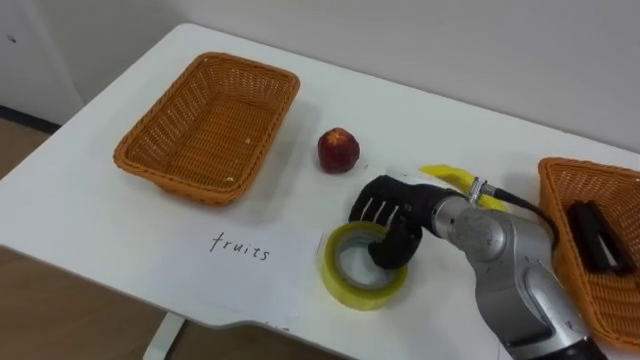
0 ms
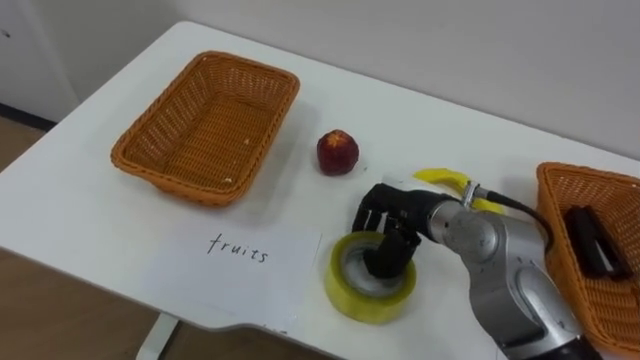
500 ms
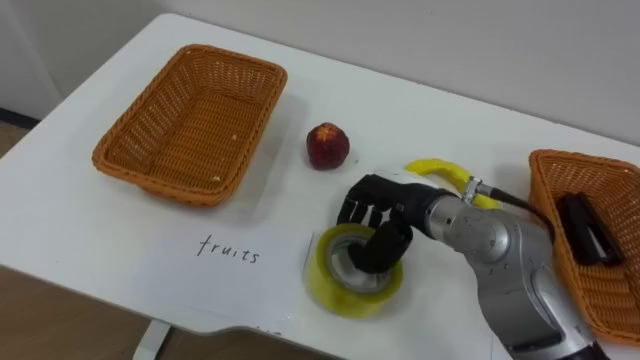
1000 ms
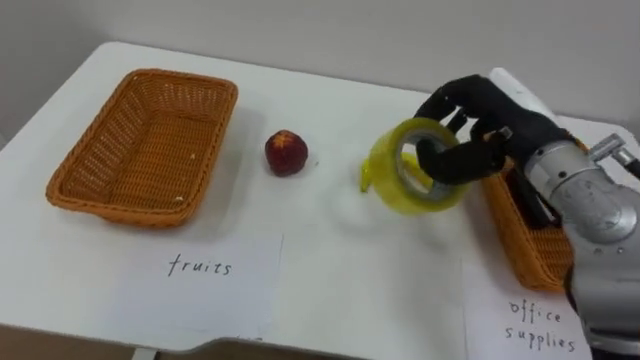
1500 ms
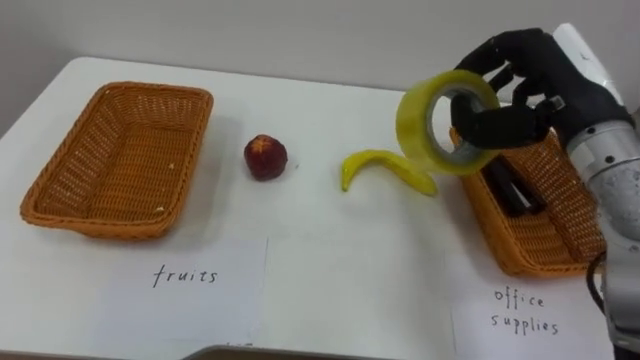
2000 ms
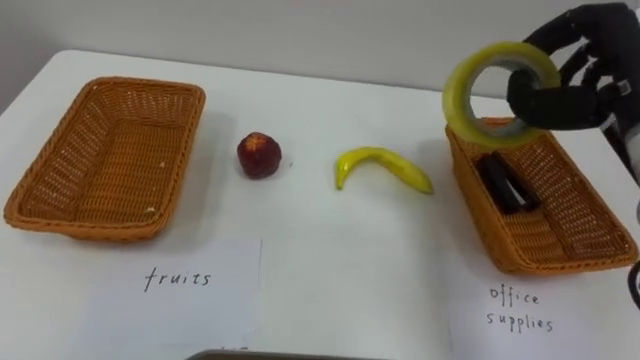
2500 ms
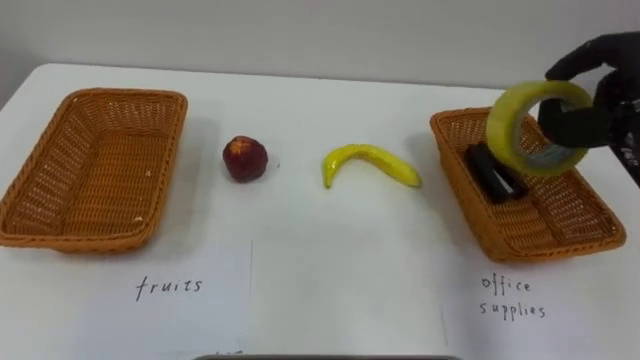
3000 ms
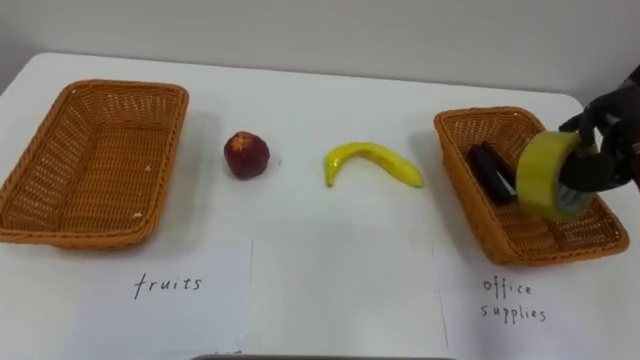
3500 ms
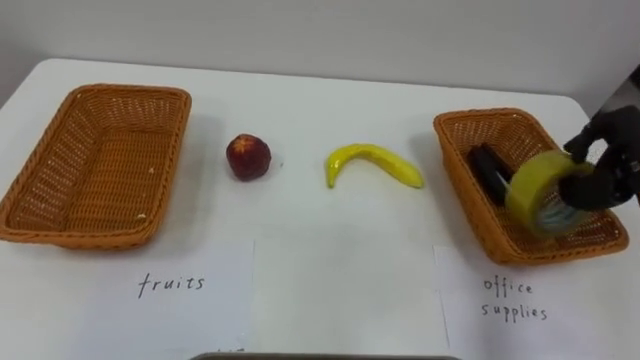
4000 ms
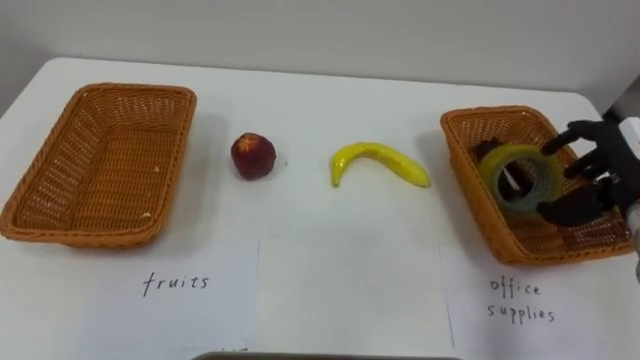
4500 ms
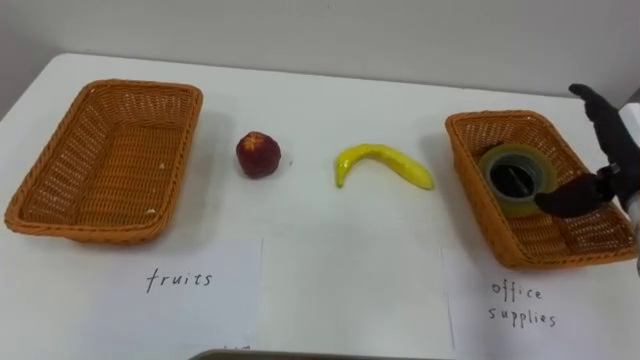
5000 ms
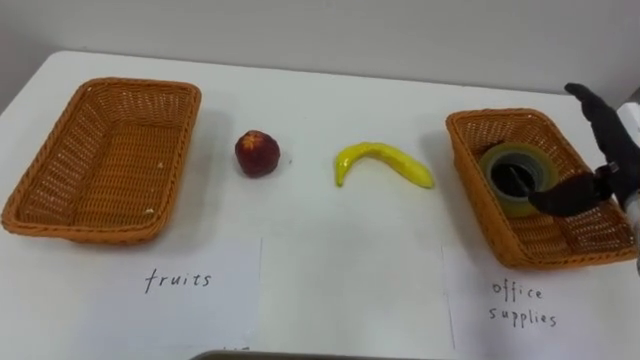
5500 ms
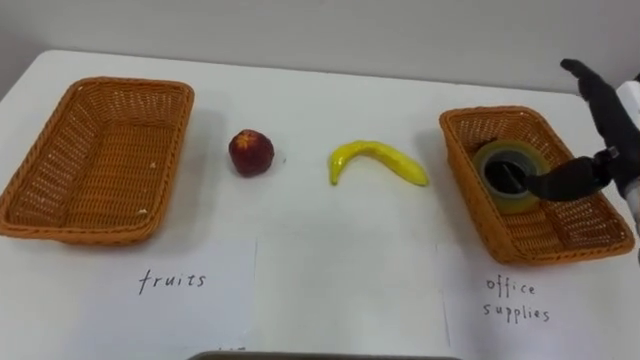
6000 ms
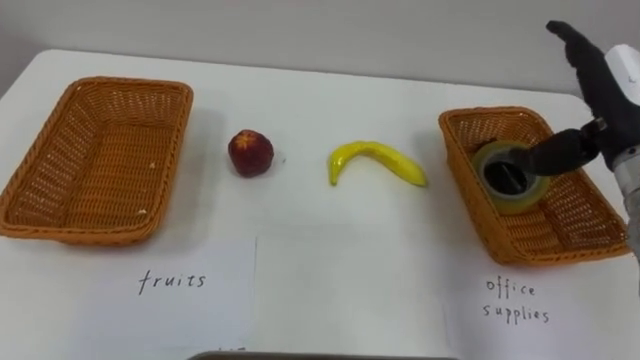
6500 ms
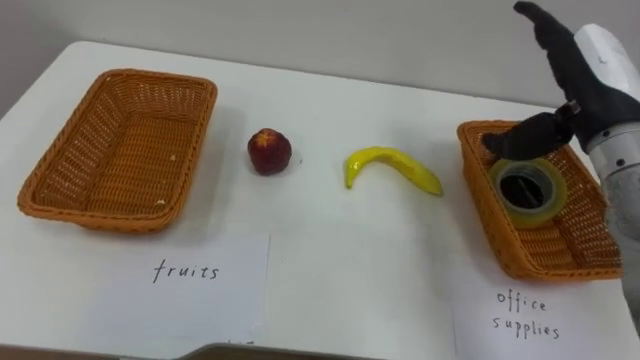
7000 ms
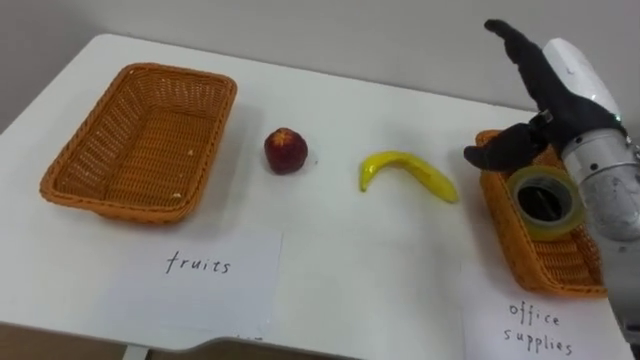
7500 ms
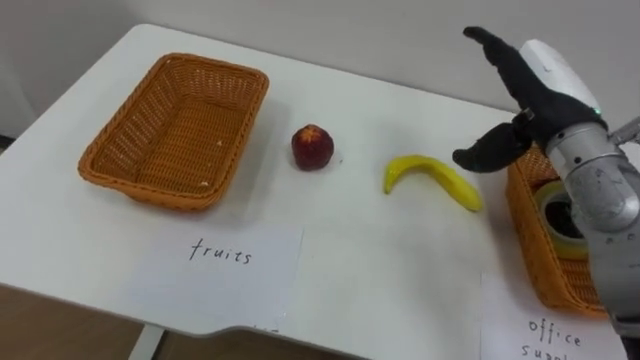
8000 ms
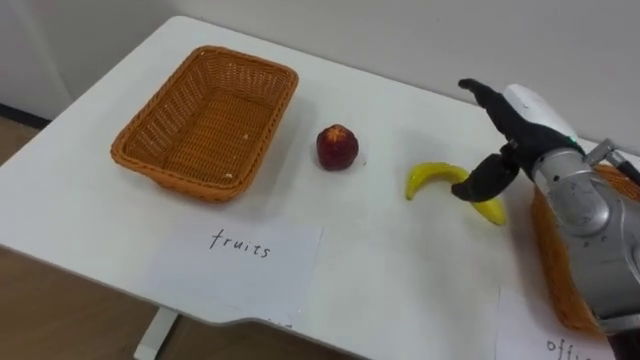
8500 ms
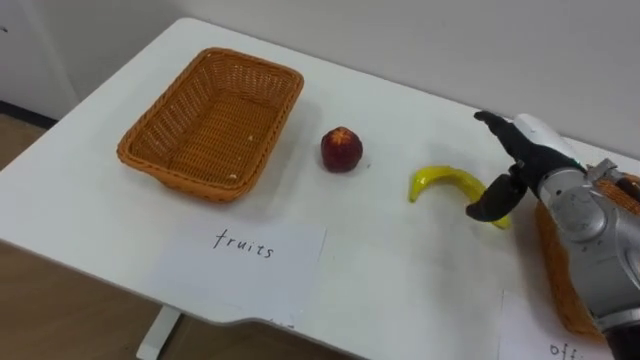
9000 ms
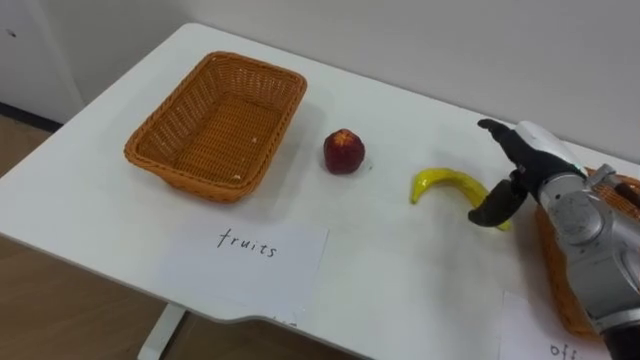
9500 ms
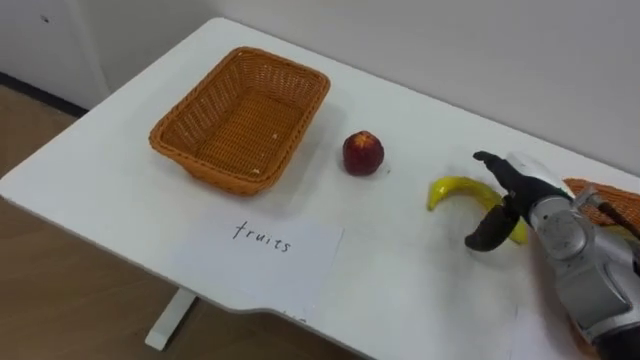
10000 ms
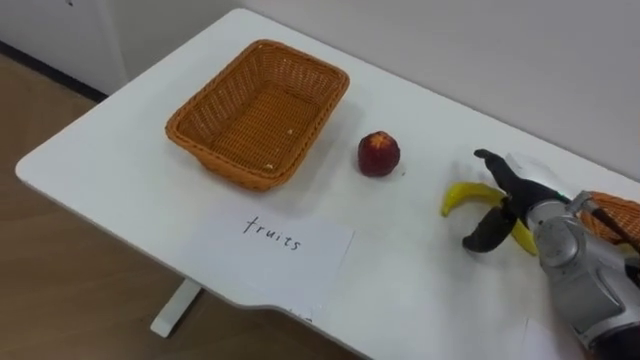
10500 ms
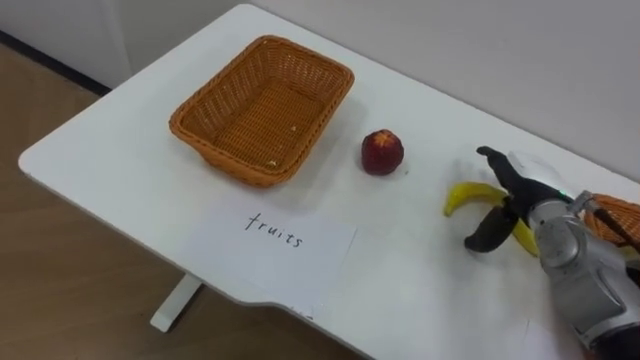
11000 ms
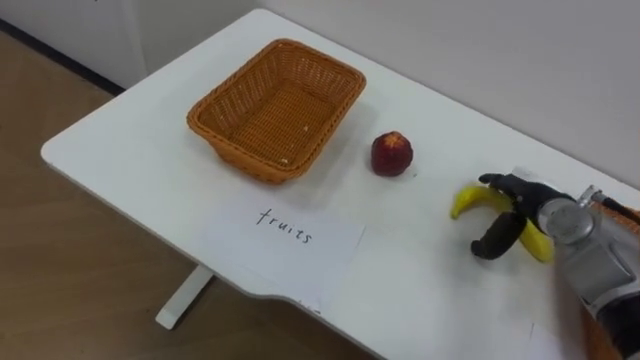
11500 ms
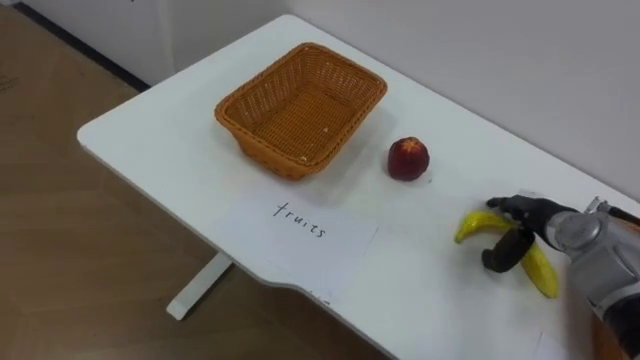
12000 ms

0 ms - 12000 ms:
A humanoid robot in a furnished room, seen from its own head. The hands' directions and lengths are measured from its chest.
Task of the whole recording: Separate the items on the table and place them into the two baskets.
0 ms - 2000 ms: The right hand goes about 20 cm upward and to the right.
6000 ms - 8000 ms: The right hand travels to the left by about 10 cm.
8000 ms - 10000 ms: The right hand shifts approximately 15 cm downward.
10000 ms - 12000 ms: The right hand is displaced downward by roughly 5 cm.

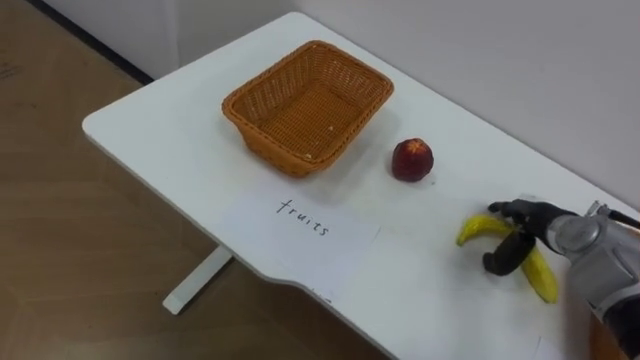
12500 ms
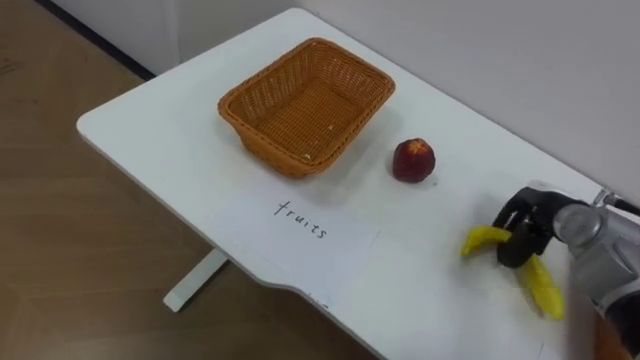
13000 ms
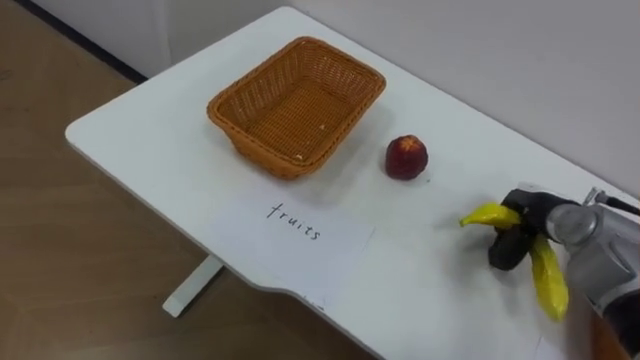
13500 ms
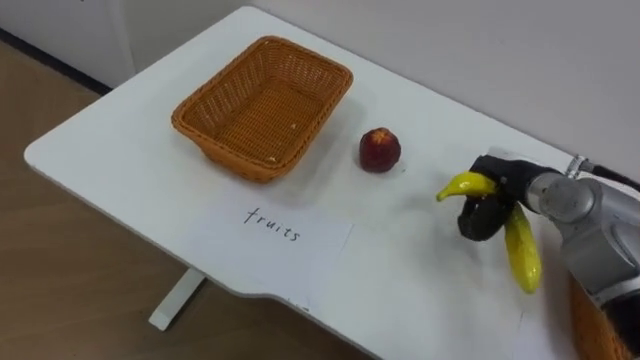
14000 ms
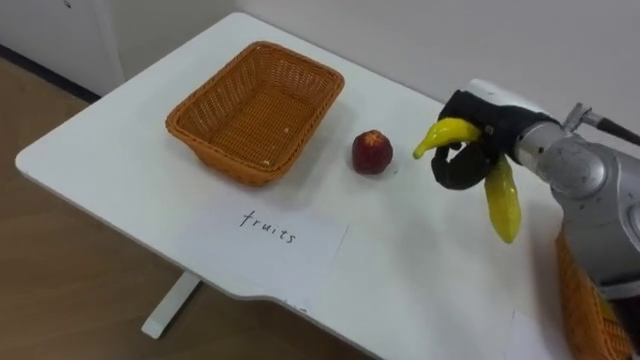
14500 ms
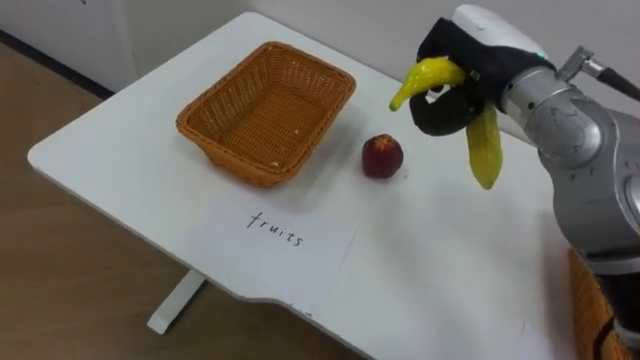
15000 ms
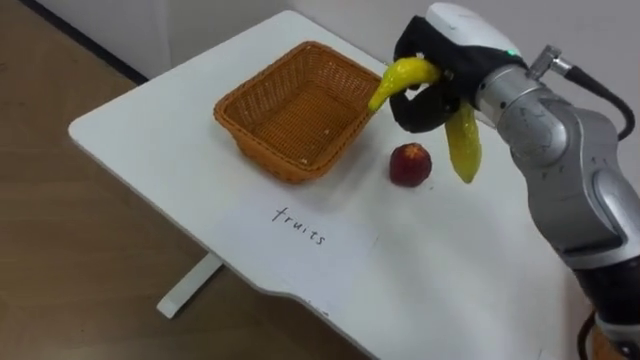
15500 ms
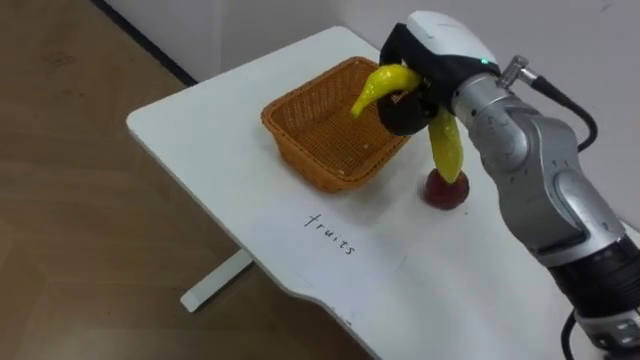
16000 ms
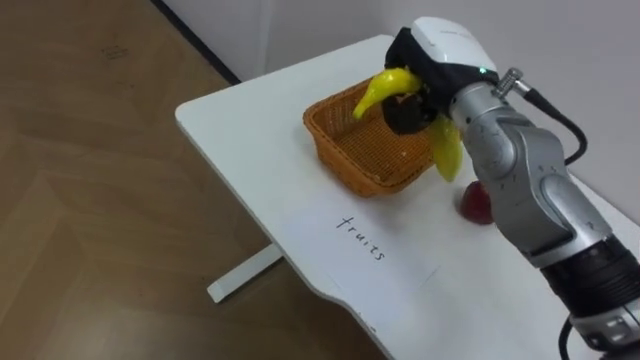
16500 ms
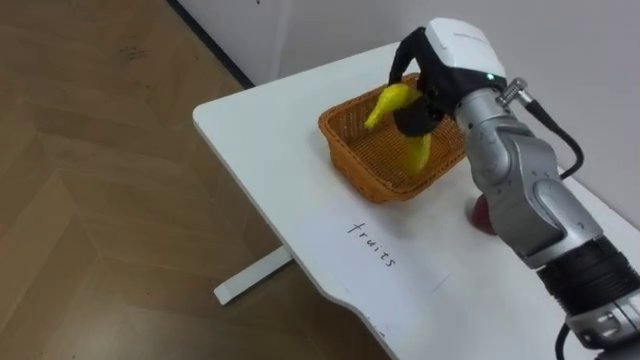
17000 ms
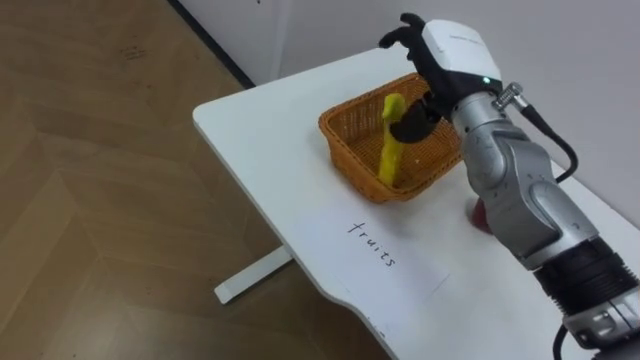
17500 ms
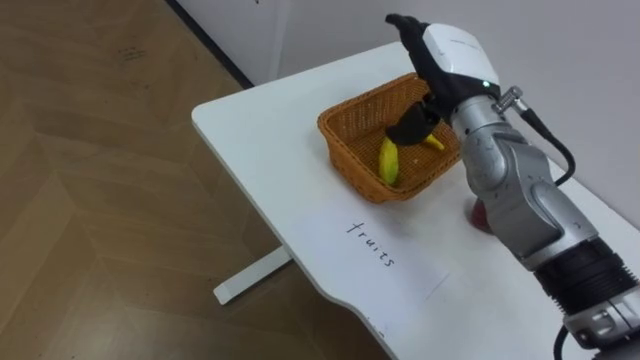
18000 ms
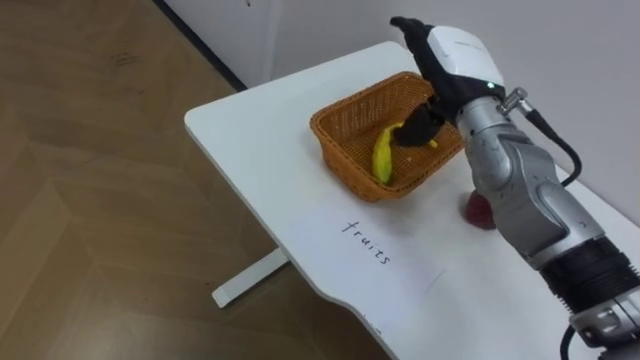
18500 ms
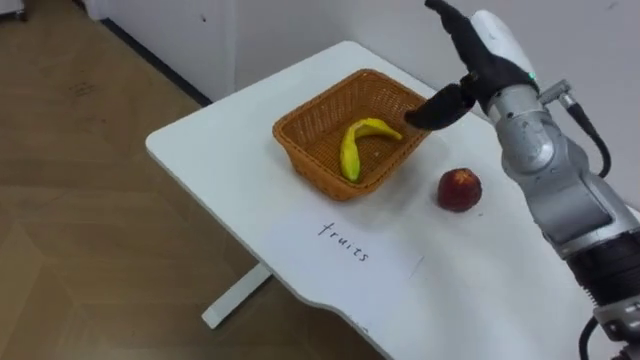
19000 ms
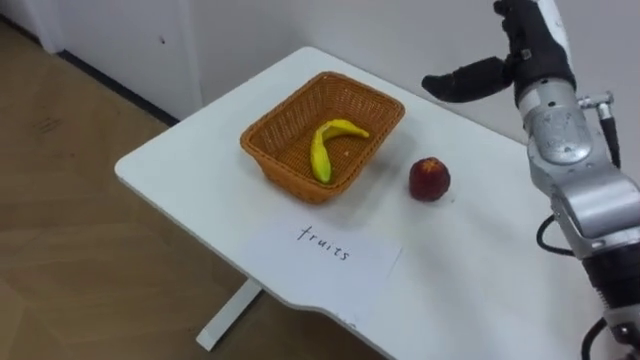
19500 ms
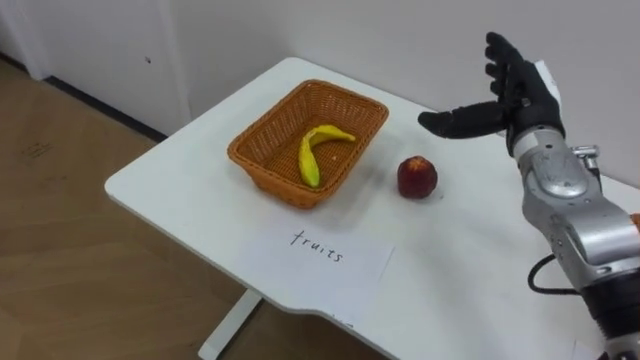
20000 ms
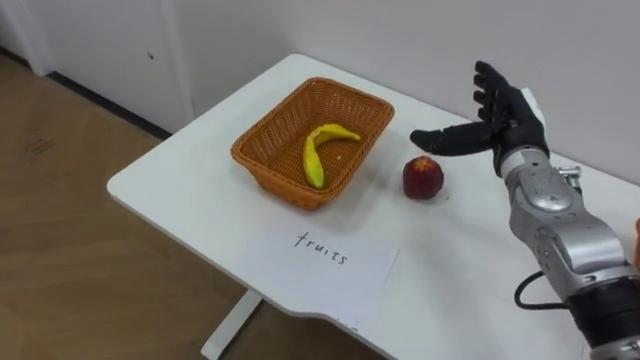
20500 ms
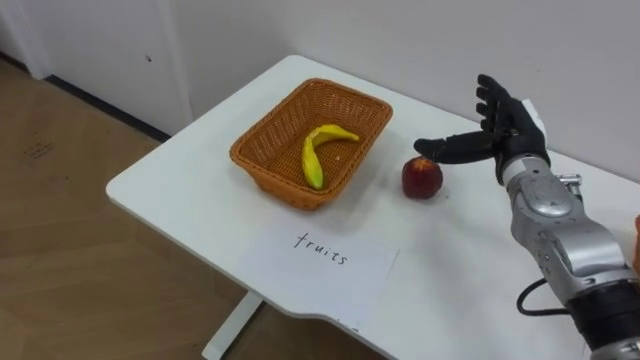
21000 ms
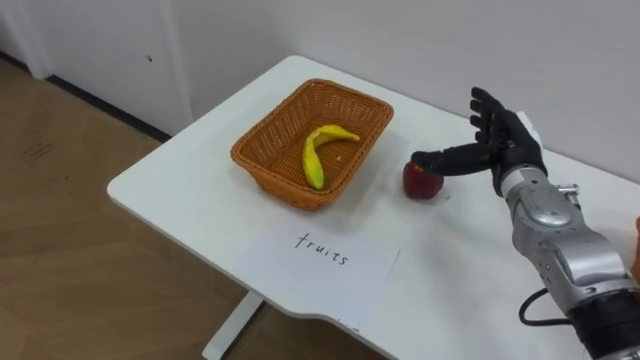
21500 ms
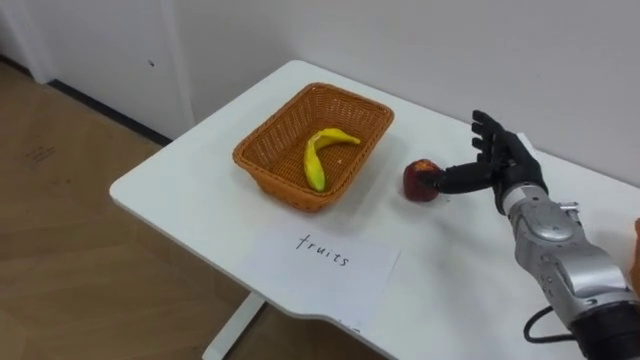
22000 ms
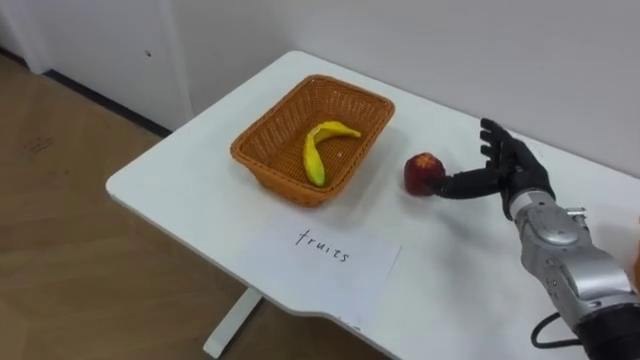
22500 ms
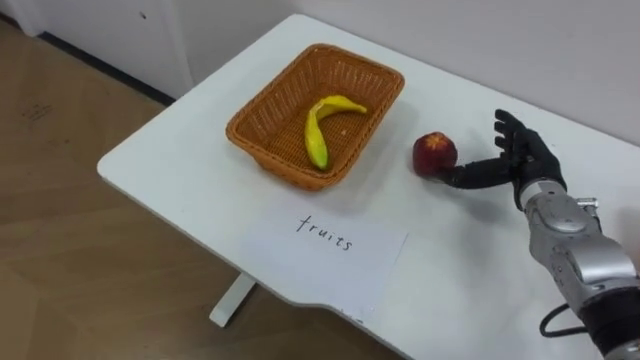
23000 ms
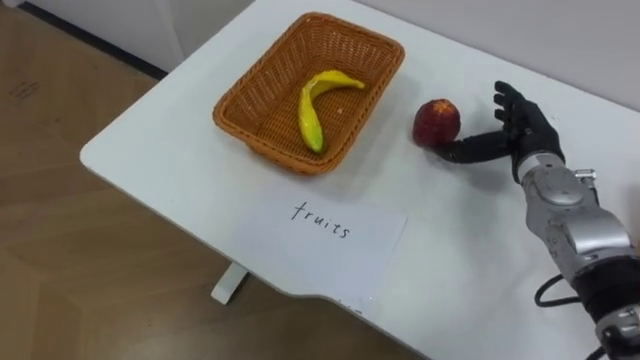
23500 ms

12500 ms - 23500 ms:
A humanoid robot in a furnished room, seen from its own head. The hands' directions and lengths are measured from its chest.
Task of the whole recording: Separate the items on the table and place them into the two baskets.
12500 ms - 14500 ms: The right hand is displaced upward and to the left by approximately 20 cm, and closes.
14500 ms - 16000 ms: The right hand shifts roughly 10 cm to the left and upward.
16000 ms - 18000 ms: The right hand opens its fingers.
18000 ms - 20000 ms: The right hand shifts some 10 cm to the right.
20000 ms - 21500 ms: The right hand shifts approximately 5 cm downward.
